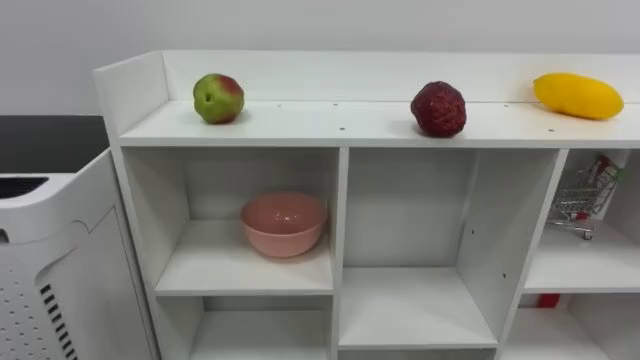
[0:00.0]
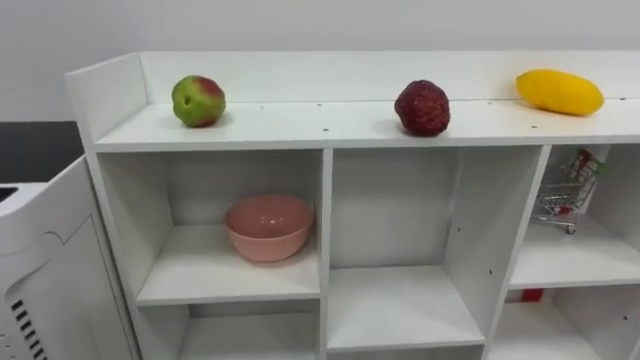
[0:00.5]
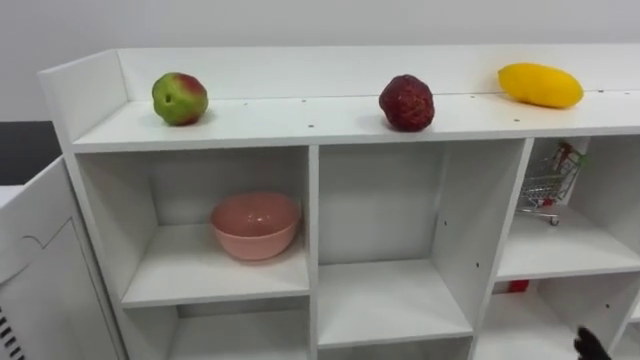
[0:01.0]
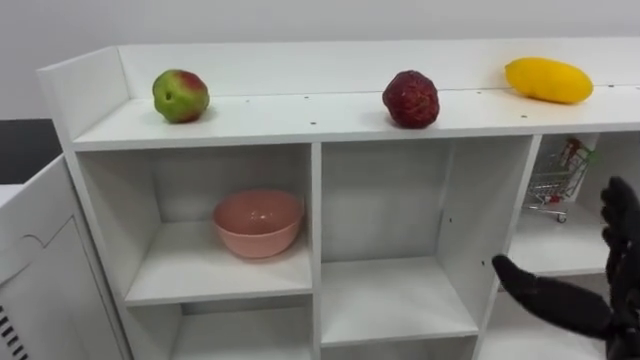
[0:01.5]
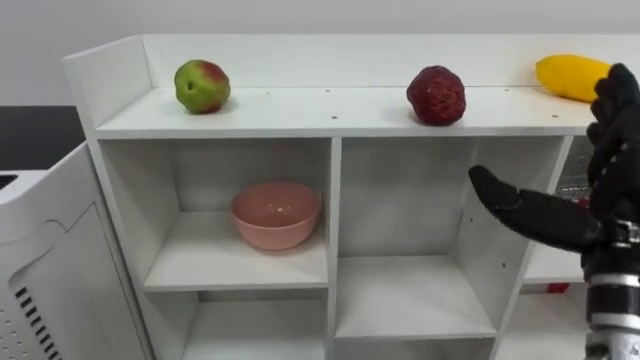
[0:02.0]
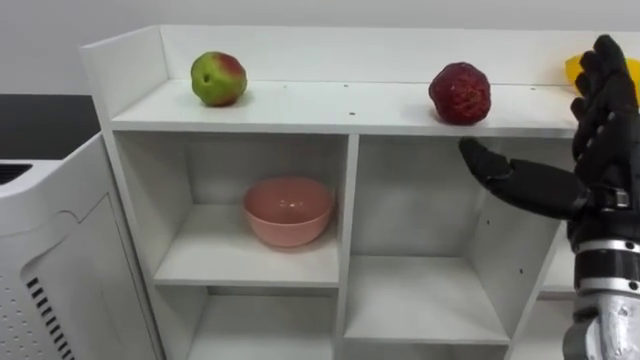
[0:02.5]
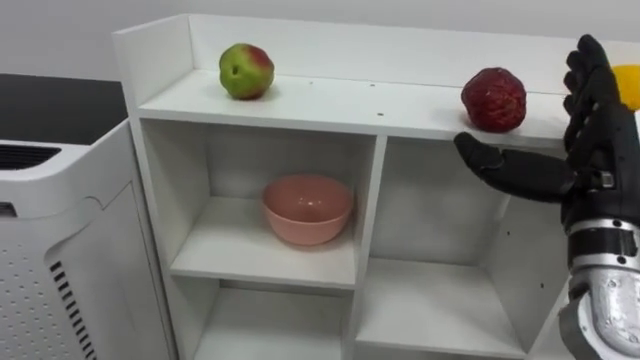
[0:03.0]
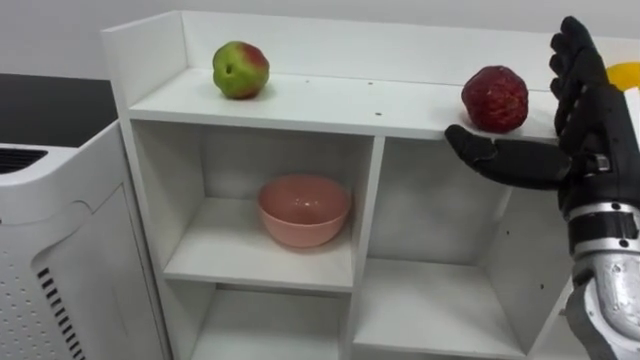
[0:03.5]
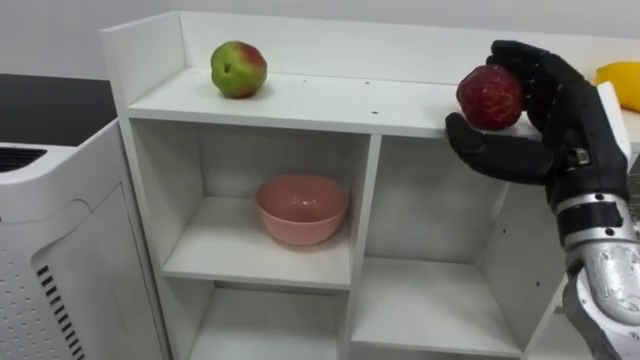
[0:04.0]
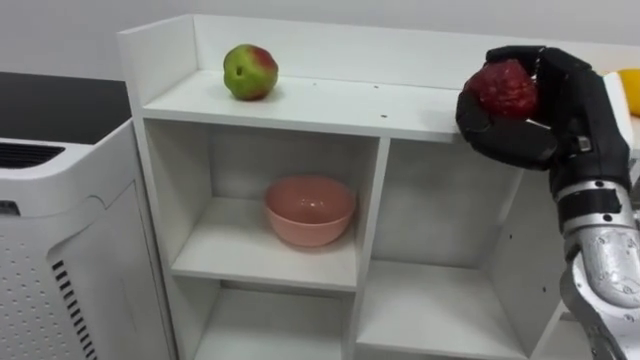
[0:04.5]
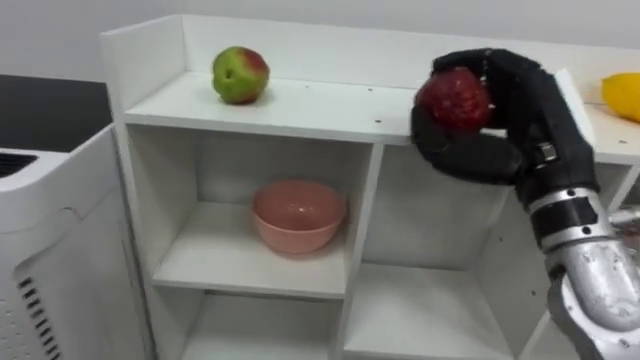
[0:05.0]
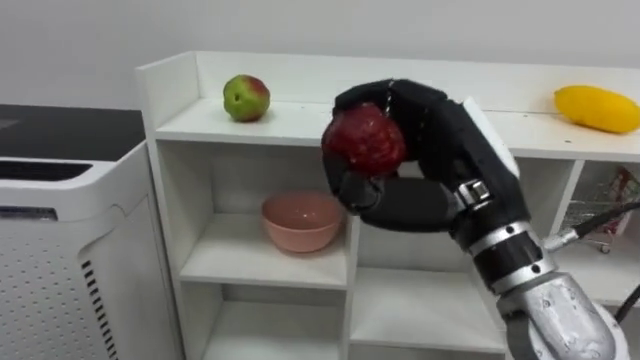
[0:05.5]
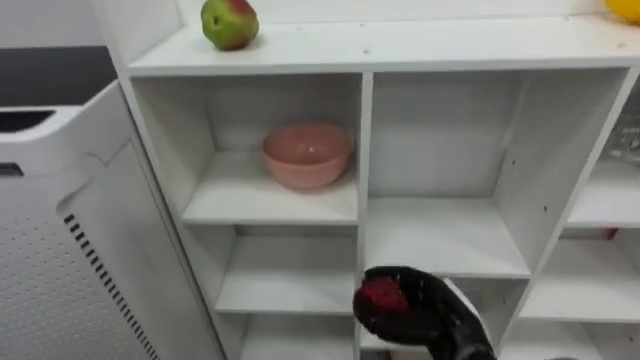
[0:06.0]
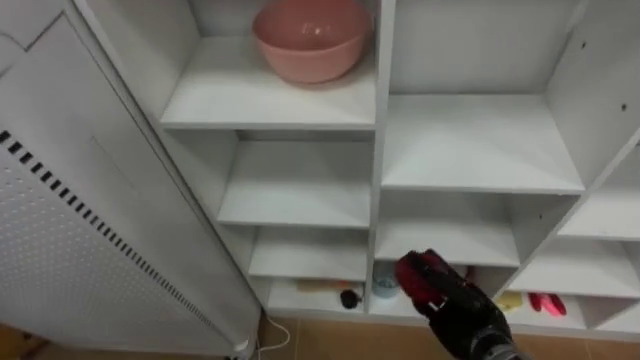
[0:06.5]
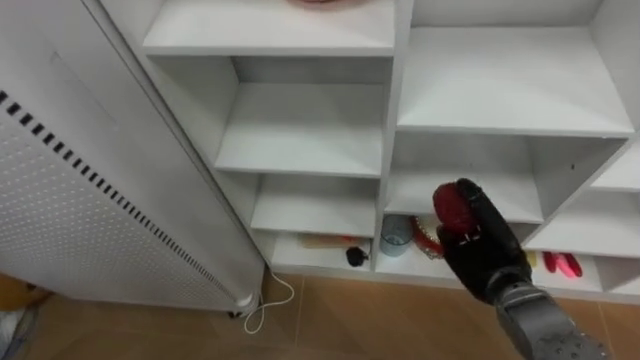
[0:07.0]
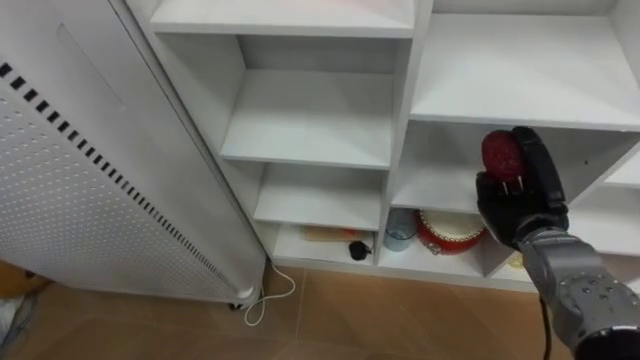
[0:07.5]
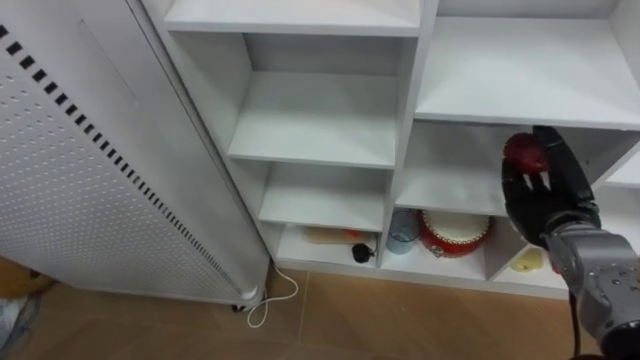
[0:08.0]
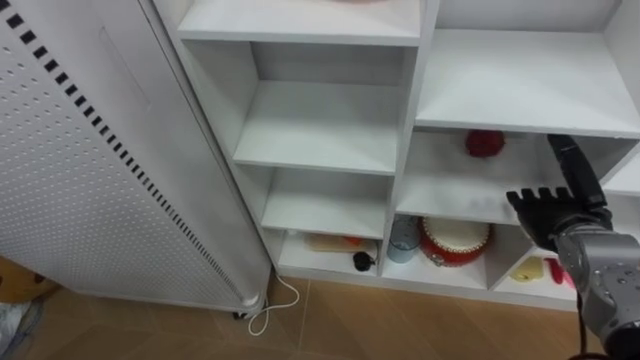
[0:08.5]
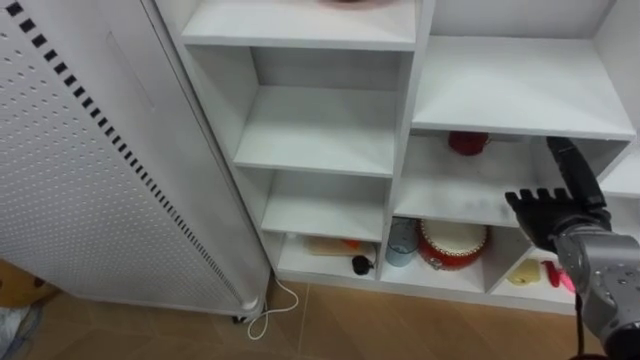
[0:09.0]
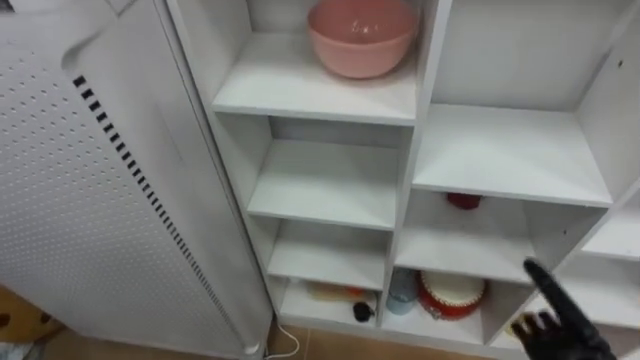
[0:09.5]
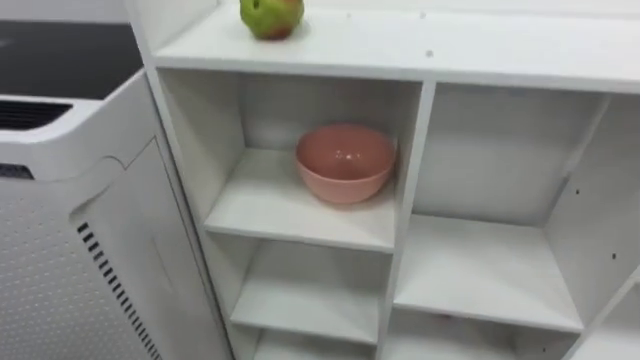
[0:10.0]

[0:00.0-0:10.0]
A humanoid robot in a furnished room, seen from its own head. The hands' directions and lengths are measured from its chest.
Task of the whole recording: Put the apple in the cell in the second column from the left and the second row from the top.
0:02.0 to 0:04.0: The right hand shifts some 5 cm forward.
0:04.0 to 0:06.0: The right hand travels downward and to the left by about 25 cm.
0:06.0 to 0:08.0: The right hand shifts about 20 cm to the right, upward and forward.

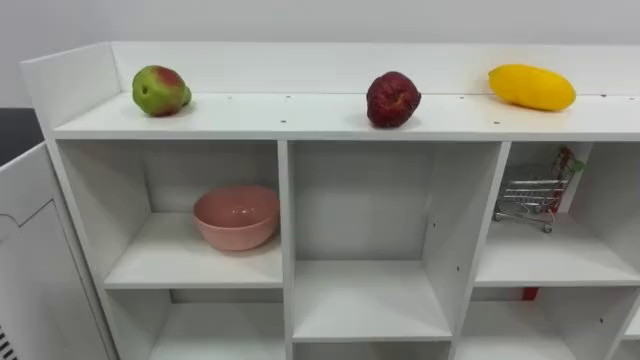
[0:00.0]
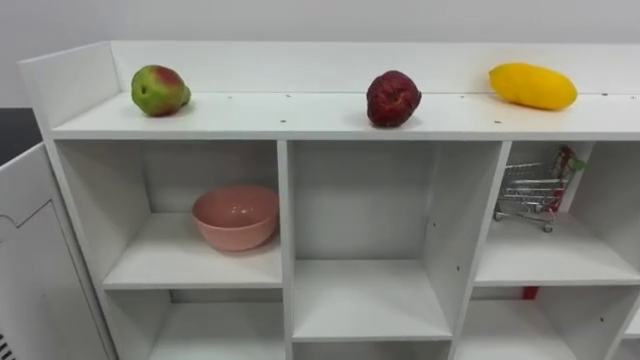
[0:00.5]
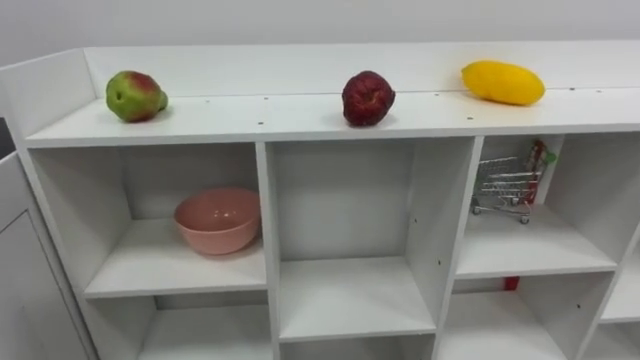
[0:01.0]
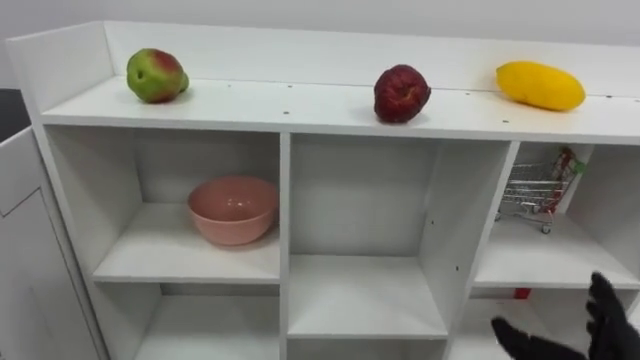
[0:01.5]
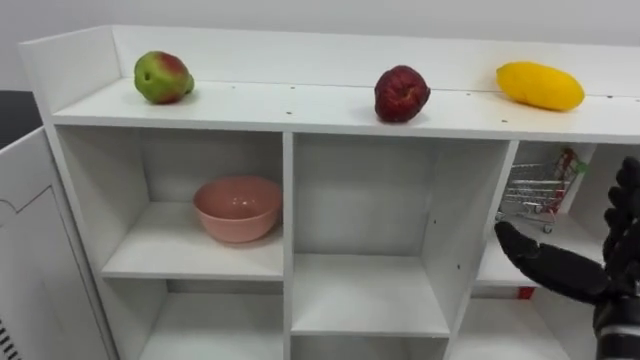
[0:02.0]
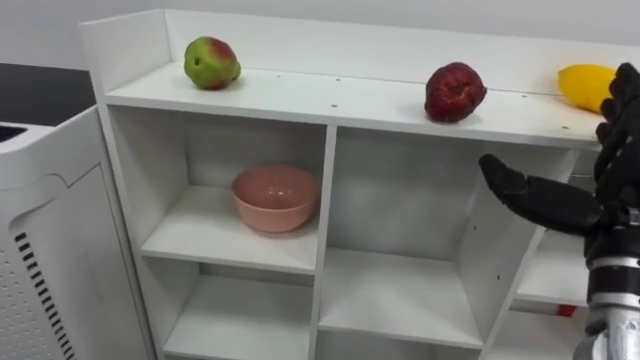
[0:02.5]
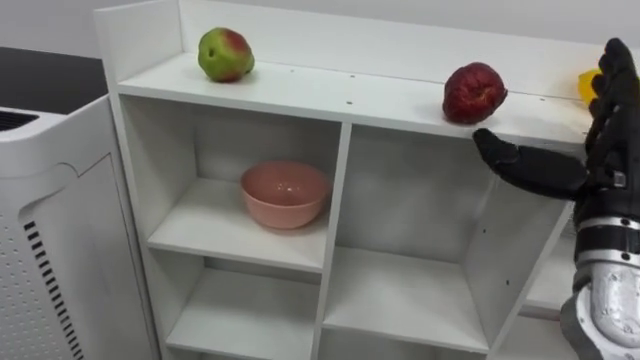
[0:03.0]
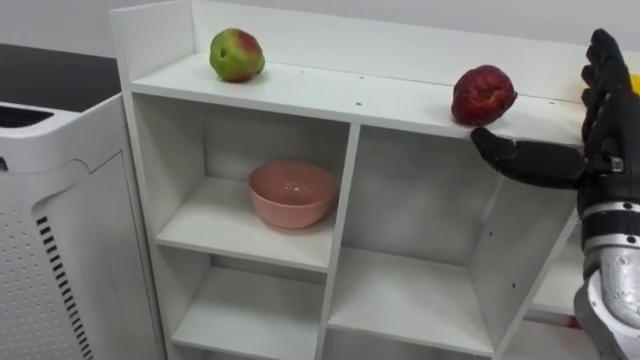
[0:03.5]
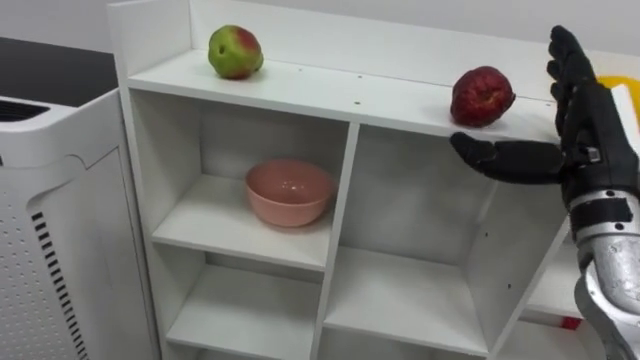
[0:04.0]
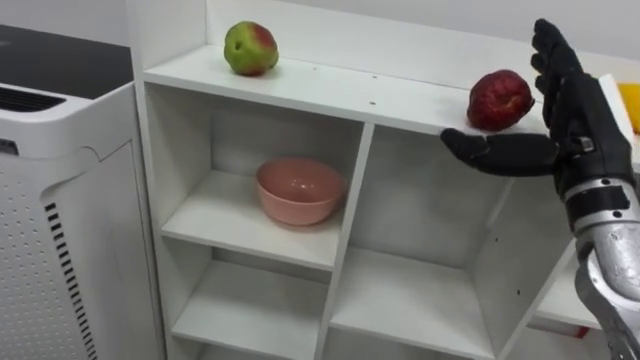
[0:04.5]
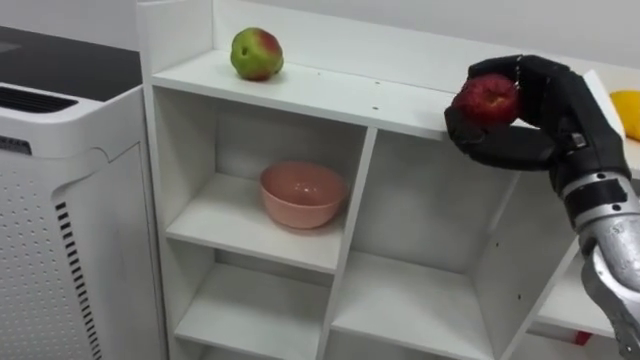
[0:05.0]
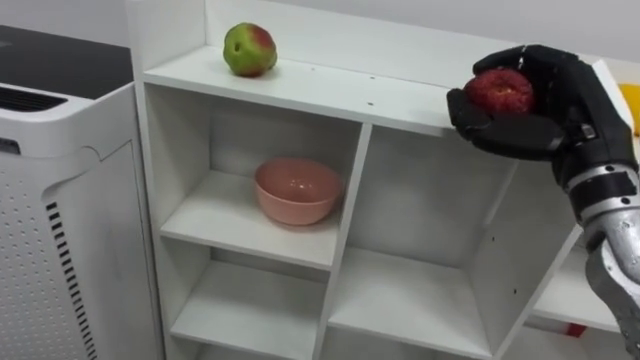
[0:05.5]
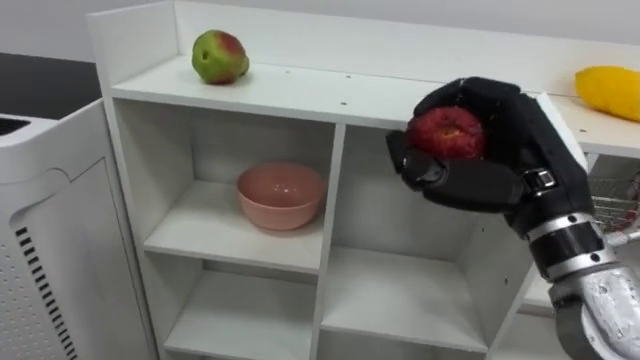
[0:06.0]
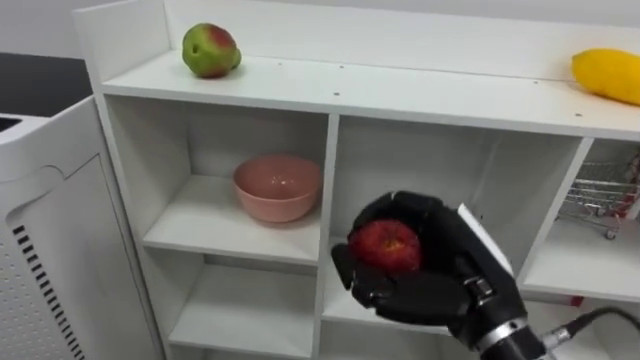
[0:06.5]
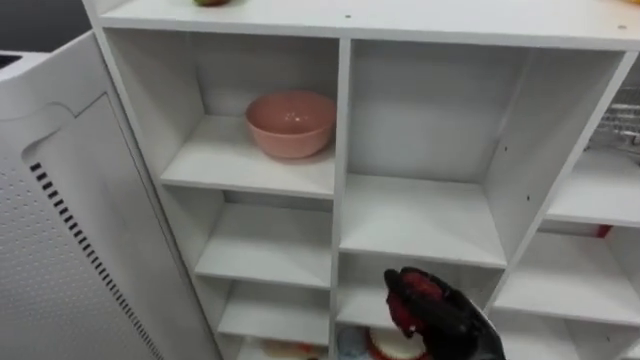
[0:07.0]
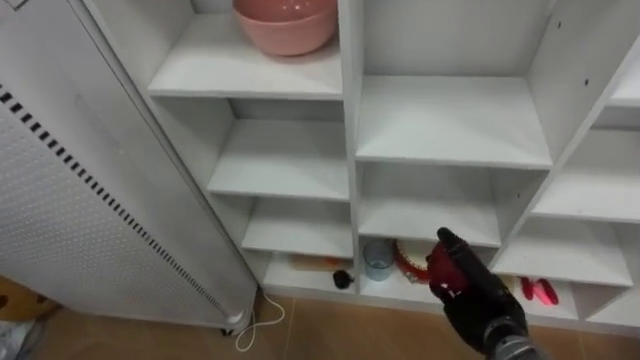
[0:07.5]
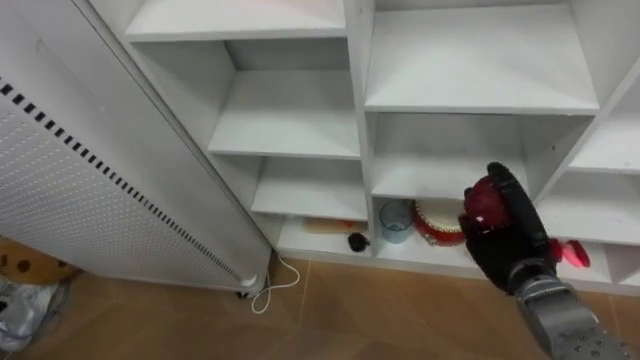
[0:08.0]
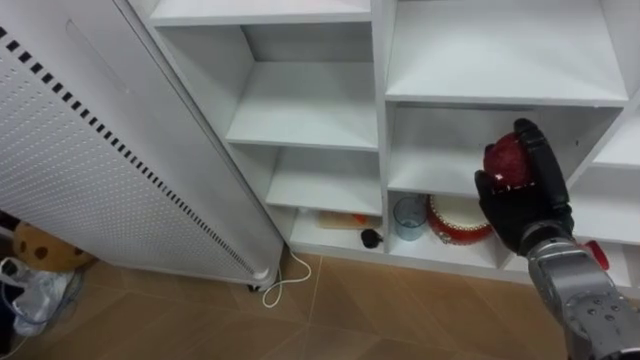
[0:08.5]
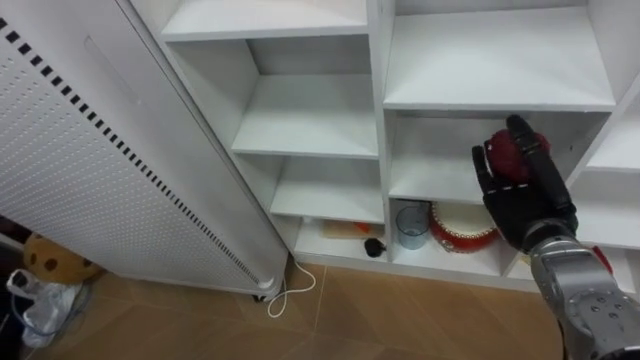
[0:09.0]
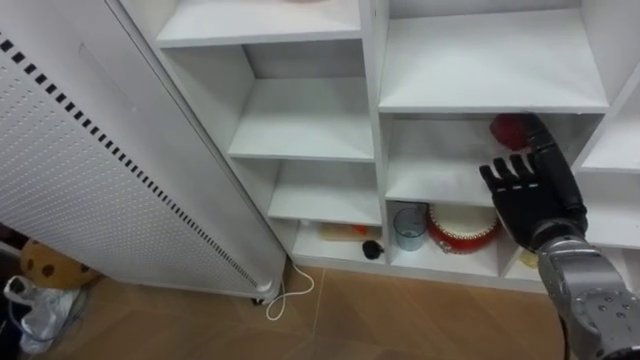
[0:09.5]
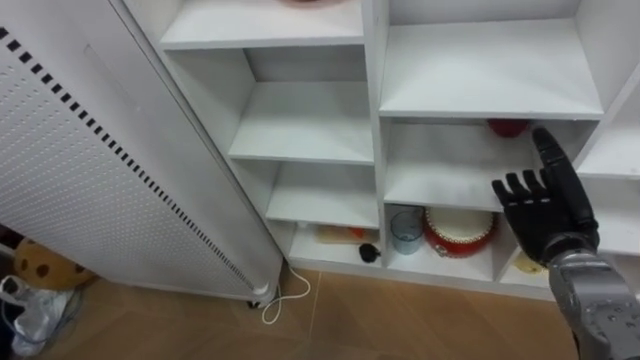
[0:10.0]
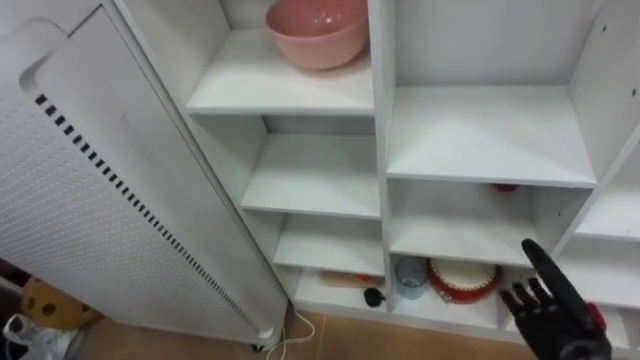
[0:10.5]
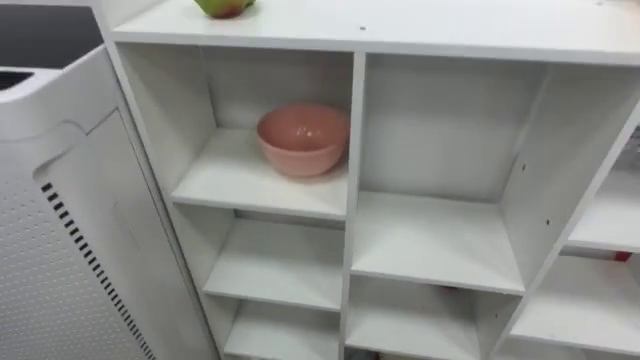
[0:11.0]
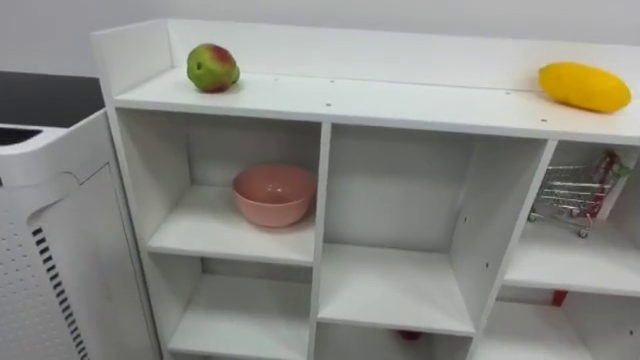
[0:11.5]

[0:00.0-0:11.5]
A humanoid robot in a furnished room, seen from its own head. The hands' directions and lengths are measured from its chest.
Task of the whole recording: Put the apple in the cell in the second column from the left and the second row from the top.
0:02.0 to 0:04.0: The right hand travels upward and forward by roughly 15 cm.
0:04.0 to 0:06.0: The right hand shifts approximately 5 cm to the left, and closes up.
0:06.0 to 0:07.5: The right hand travels downward by about 25 cm.
0:07.5 to 0:09.5: The right hand moves upward, to the right and forward, approximately 15 cm, and opens its fingers.
